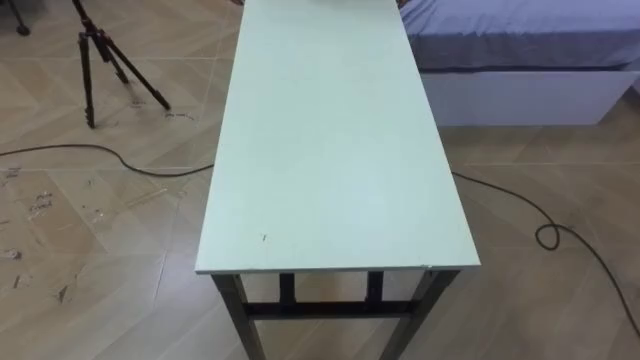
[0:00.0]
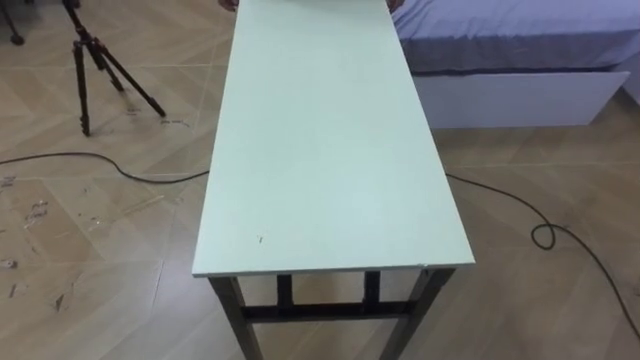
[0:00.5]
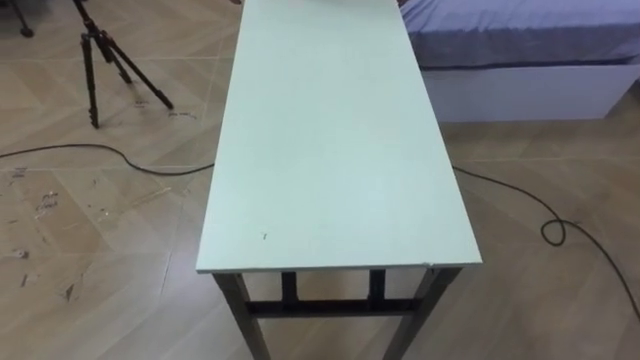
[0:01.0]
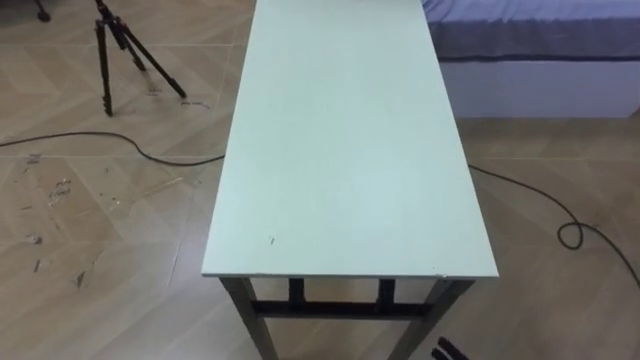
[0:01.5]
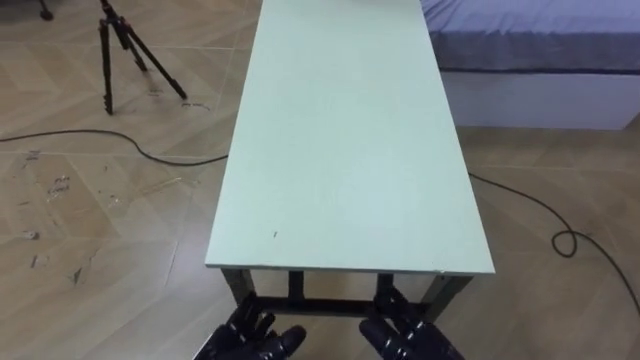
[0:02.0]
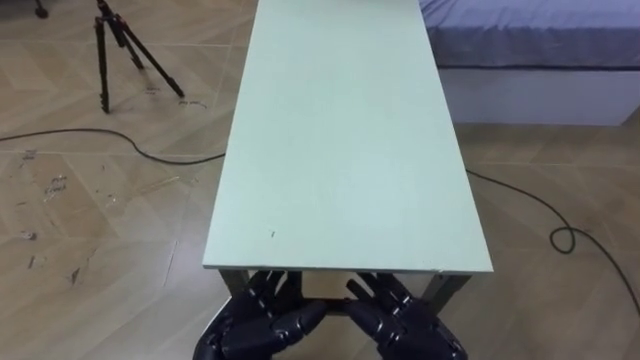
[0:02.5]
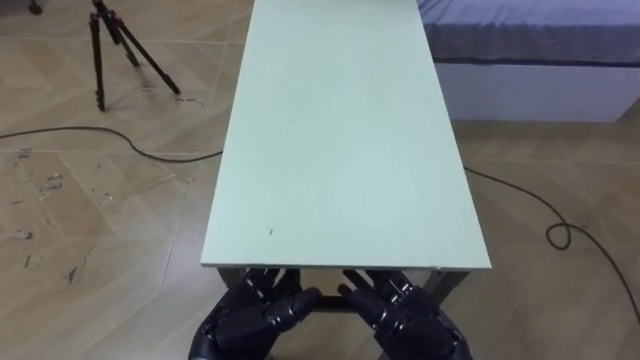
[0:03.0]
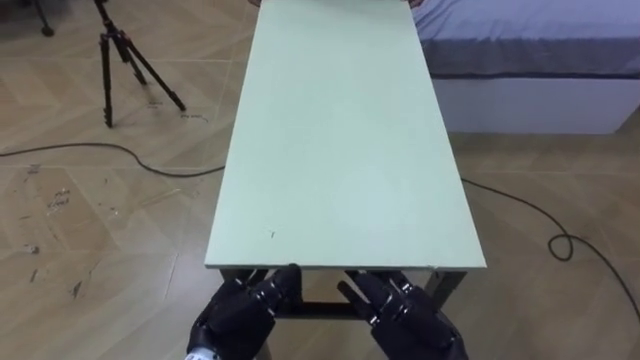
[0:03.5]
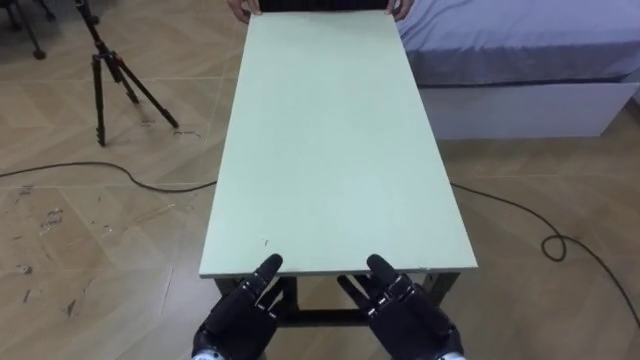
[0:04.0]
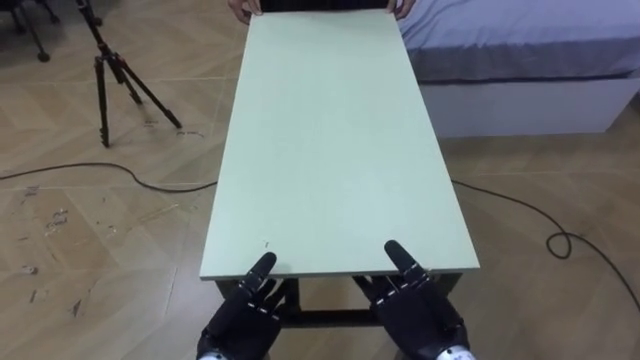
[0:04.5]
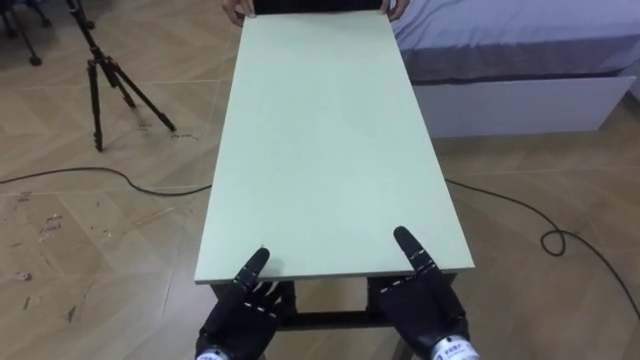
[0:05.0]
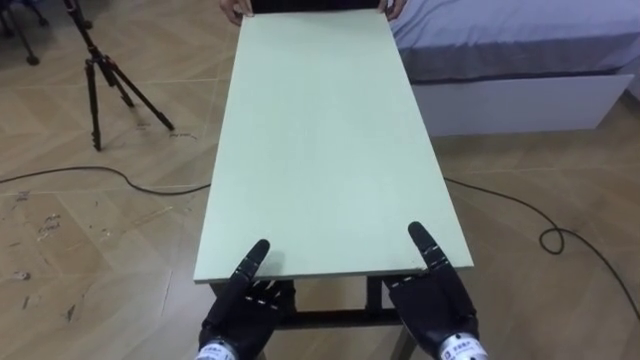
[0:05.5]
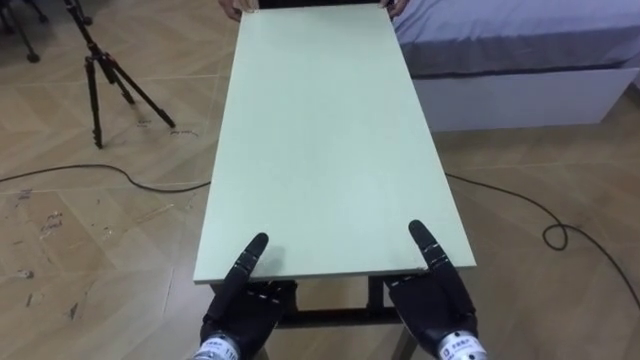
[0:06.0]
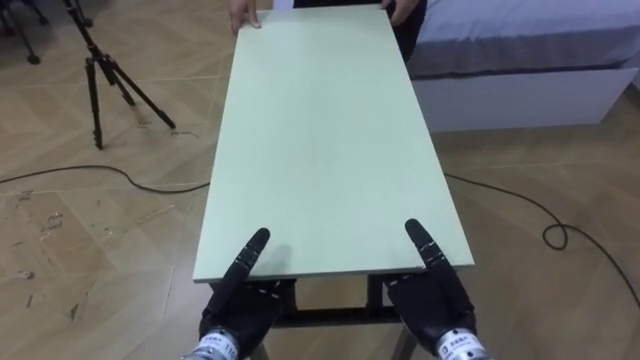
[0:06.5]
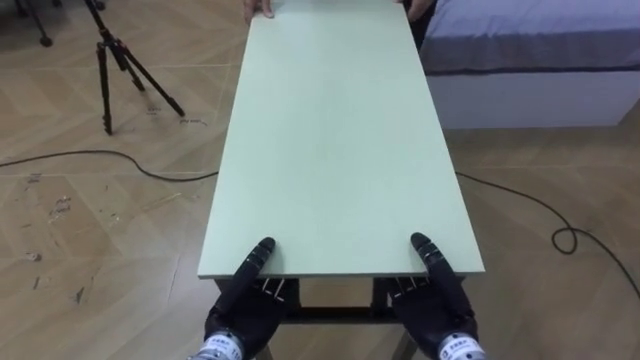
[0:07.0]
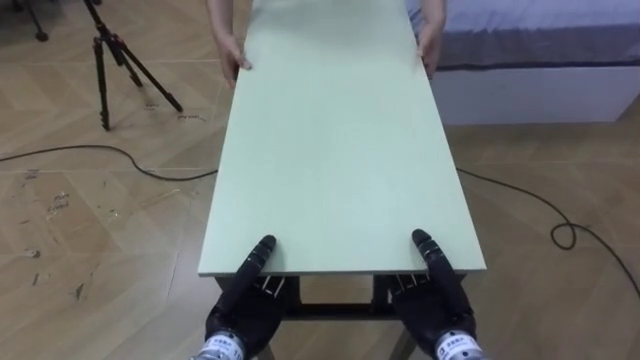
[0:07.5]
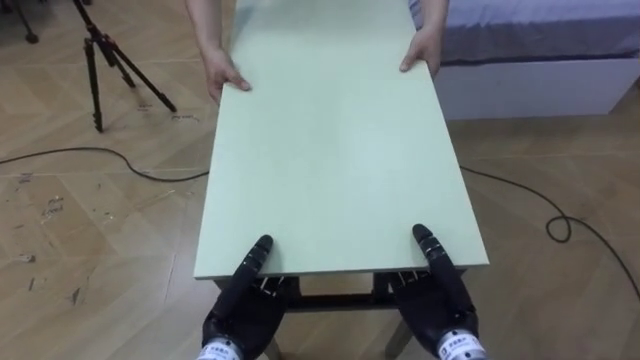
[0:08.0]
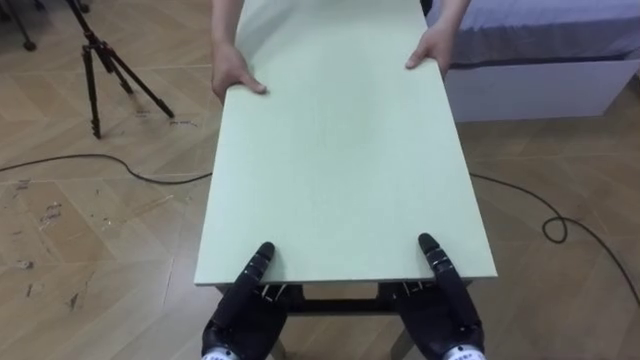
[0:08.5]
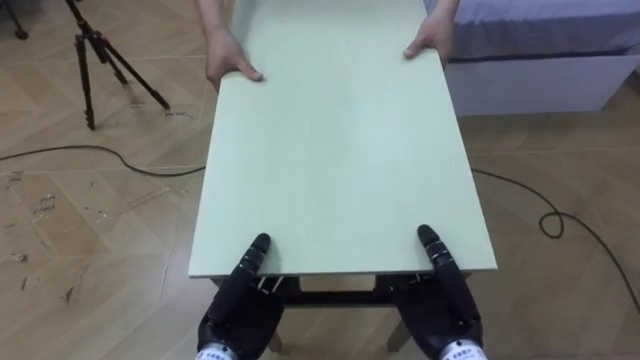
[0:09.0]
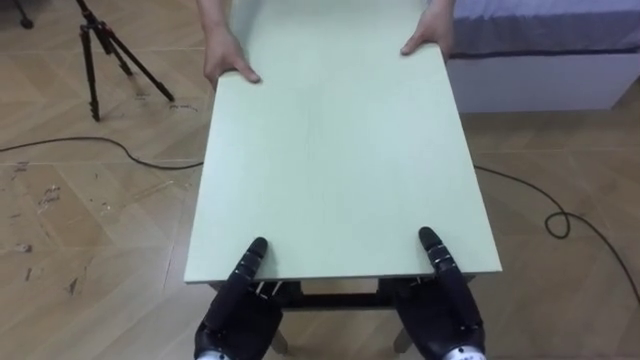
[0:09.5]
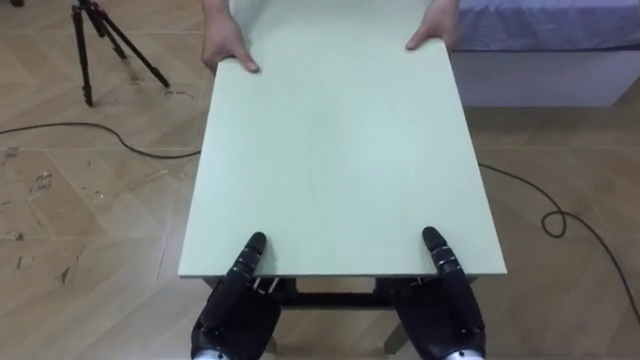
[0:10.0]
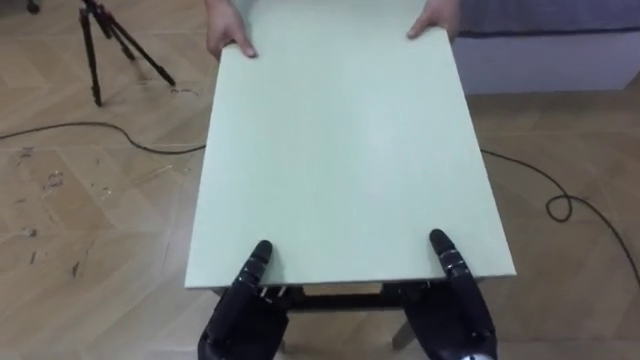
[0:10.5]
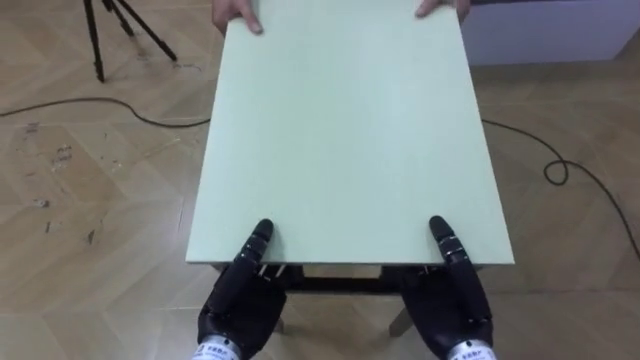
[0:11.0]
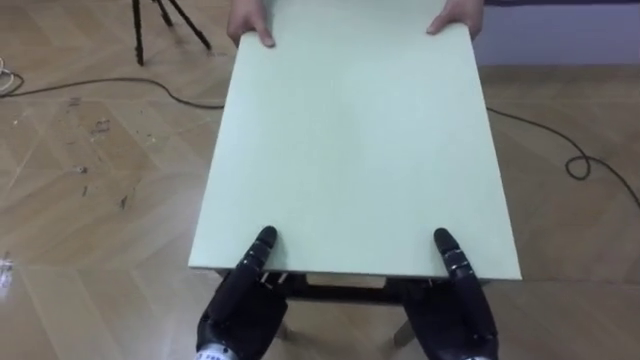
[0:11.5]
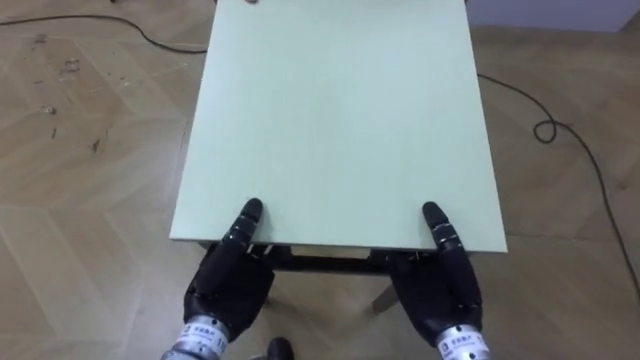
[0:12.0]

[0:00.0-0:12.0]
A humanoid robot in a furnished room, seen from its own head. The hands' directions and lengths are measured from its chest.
Task of the whole recording: Move the table to the back left with someone.
0:02.0 to 0:04.0: The right hand moves about 5 cm.
0:04.0 to 0:06.0: There are only small adjustments of the hands.
0:06.0 to 0:08.0: The left hand closes its fingers; the right hand closes up.

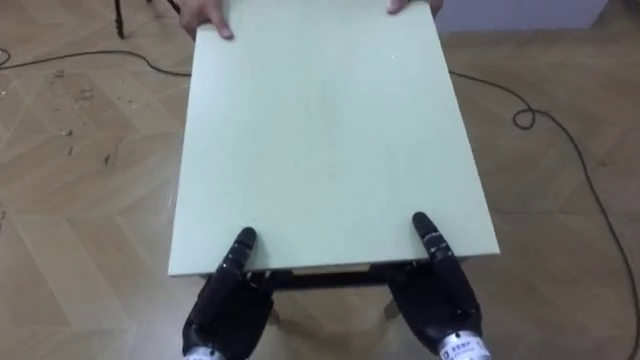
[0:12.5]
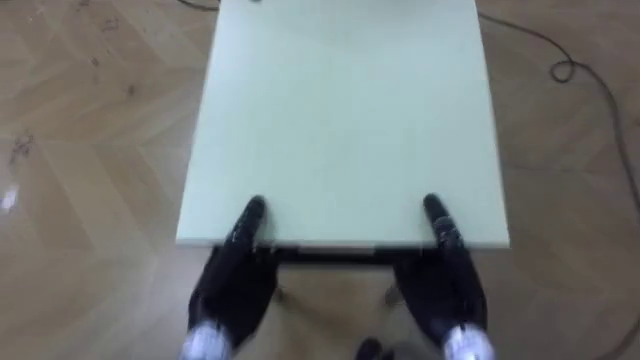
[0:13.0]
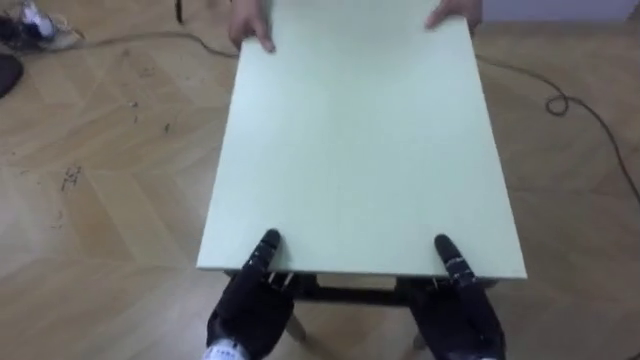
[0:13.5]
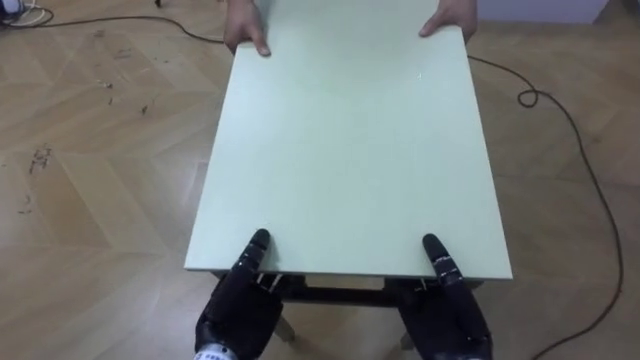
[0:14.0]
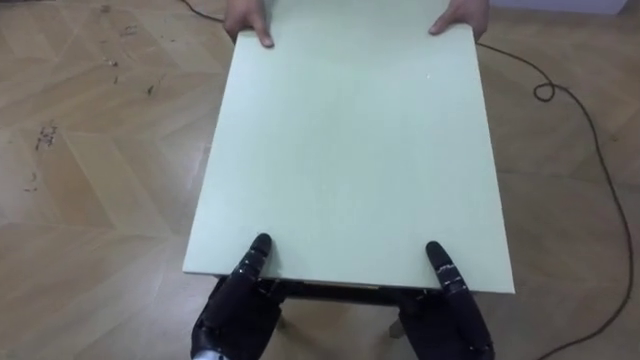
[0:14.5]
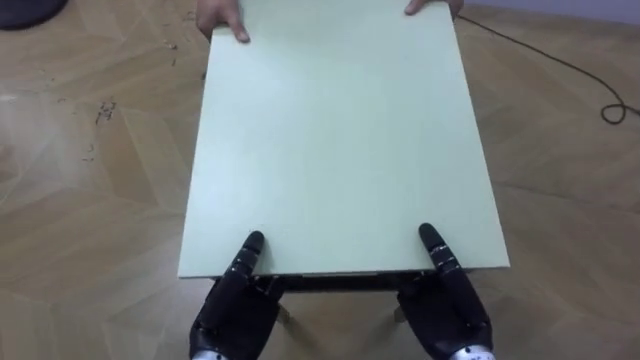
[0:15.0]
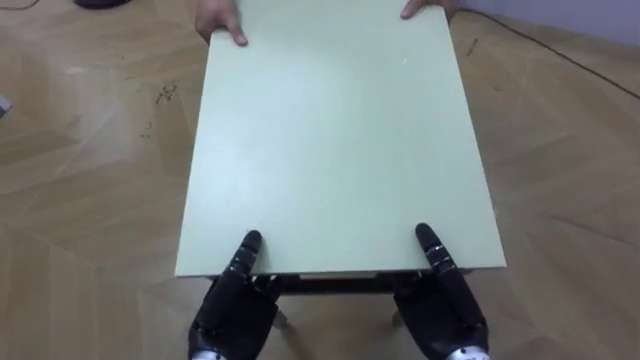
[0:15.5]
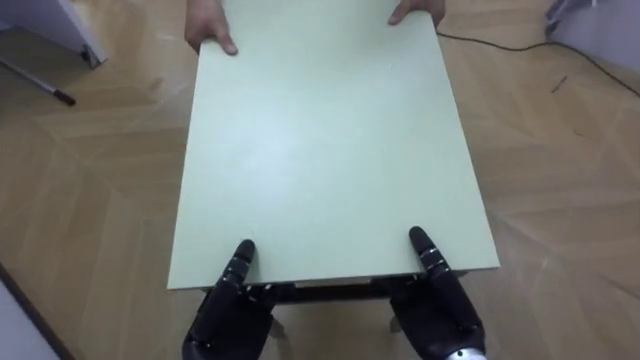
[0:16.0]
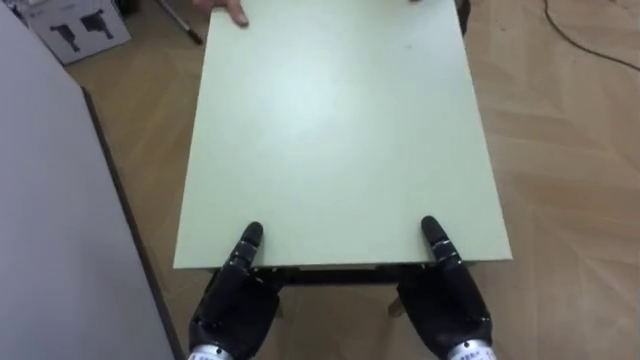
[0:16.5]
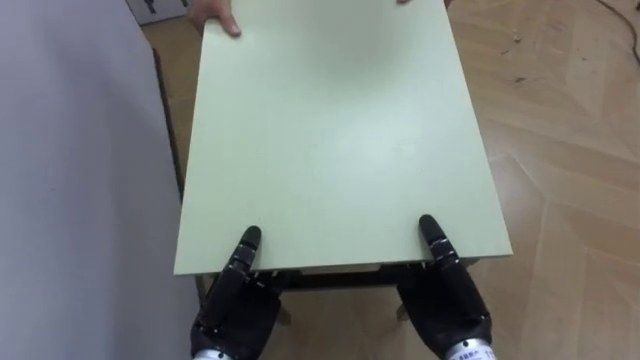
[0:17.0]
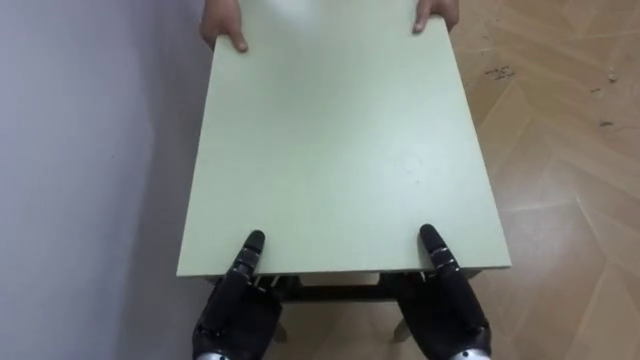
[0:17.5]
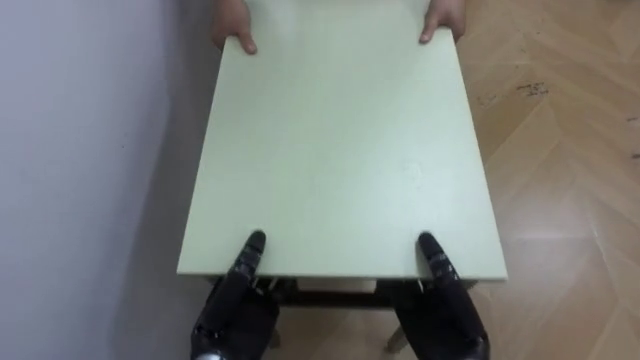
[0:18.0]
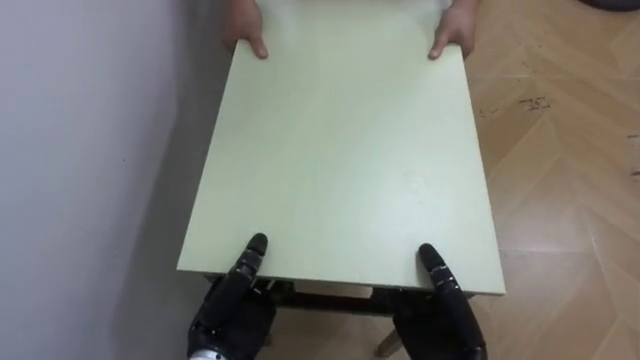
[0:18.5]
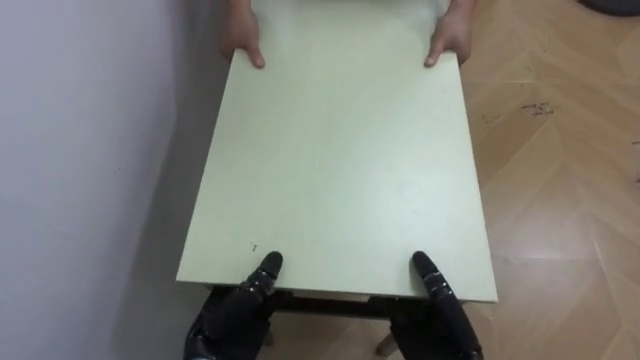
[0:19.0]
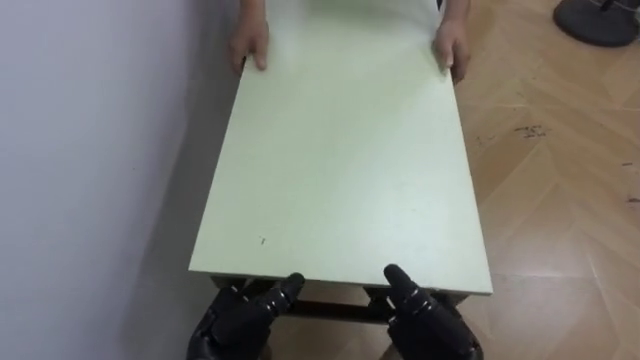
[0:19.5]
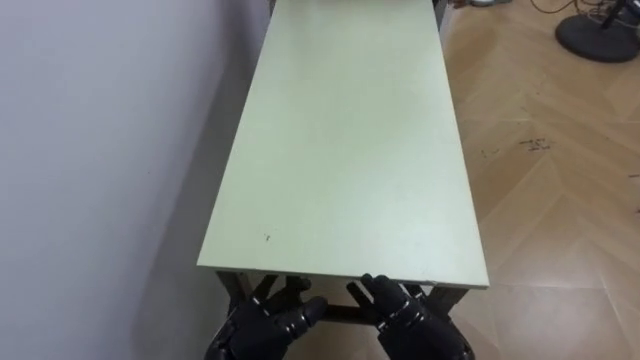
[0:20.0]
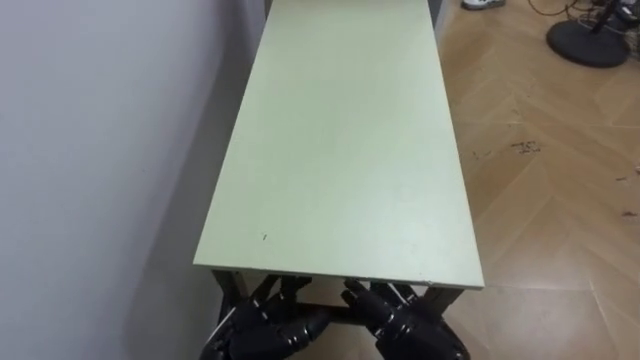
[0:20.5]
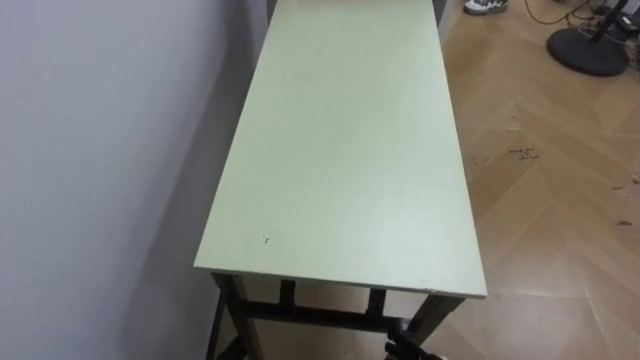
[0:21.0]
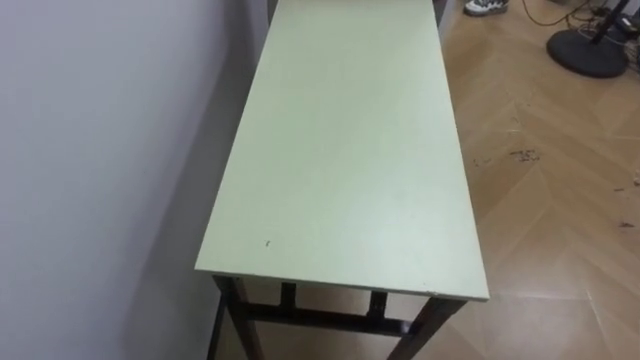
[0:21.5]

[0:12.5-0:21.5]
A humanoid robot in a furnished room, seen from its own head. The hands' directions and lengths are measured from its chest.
Task of the whole recording: Move the table to the back left with someone.
0:14.5 to 0:17.0: The robot turns to its left by approximately 60 degrees.
0:17.0 to 0:19.5: The robot's body swings roughly 25 degrees to its left. The right hand opens up. The left hand opens its fingers.
